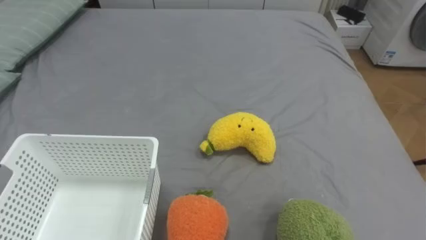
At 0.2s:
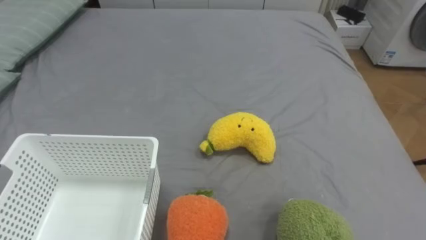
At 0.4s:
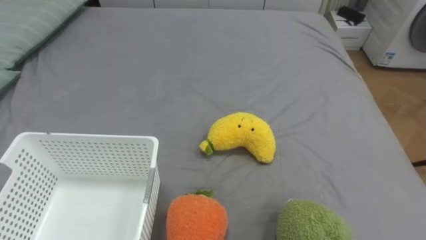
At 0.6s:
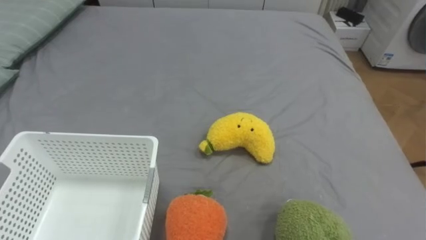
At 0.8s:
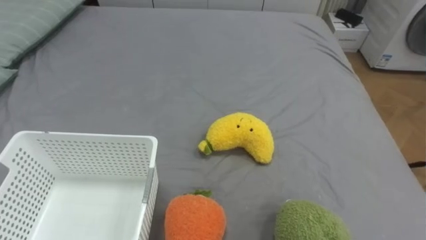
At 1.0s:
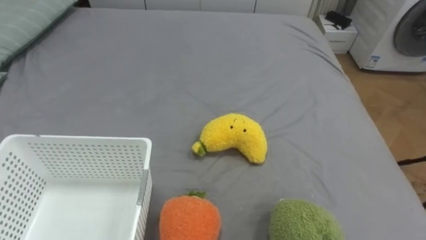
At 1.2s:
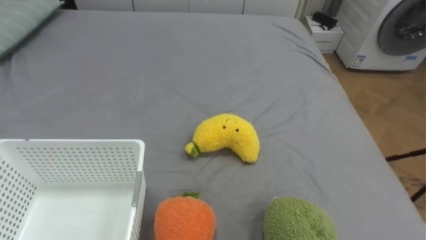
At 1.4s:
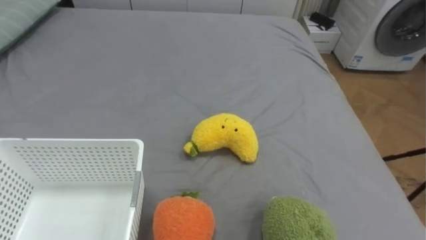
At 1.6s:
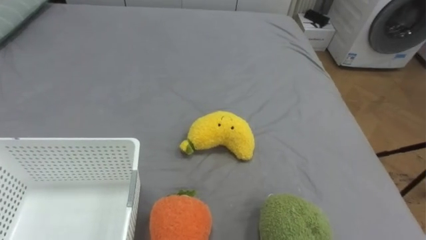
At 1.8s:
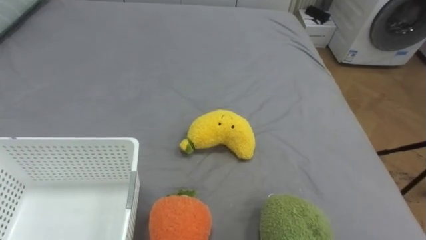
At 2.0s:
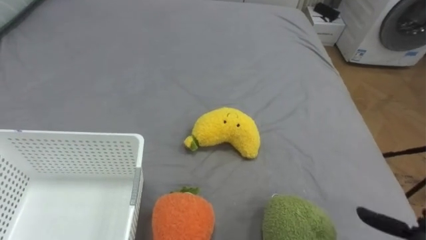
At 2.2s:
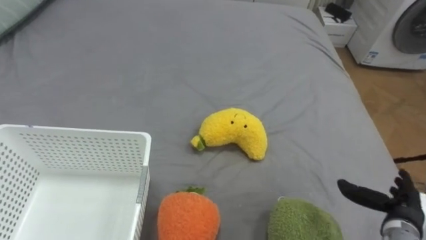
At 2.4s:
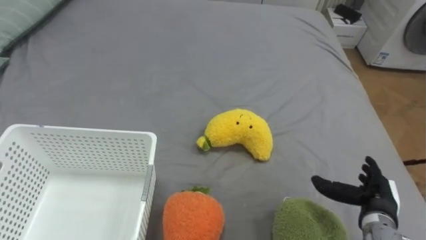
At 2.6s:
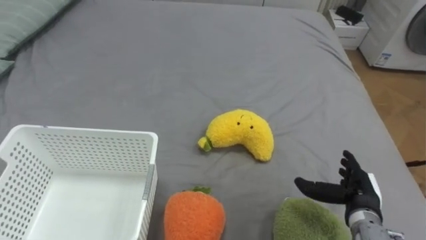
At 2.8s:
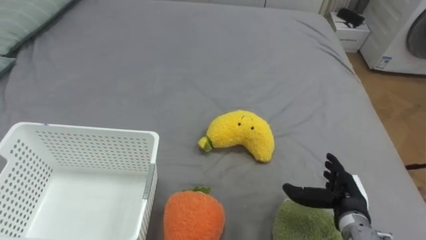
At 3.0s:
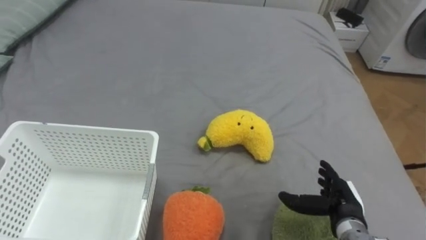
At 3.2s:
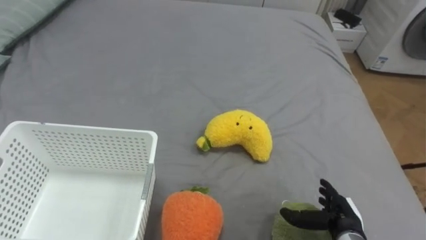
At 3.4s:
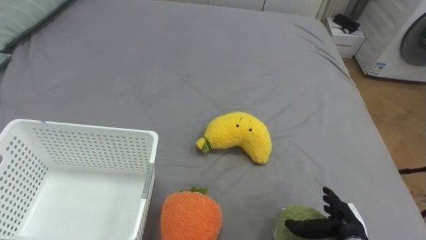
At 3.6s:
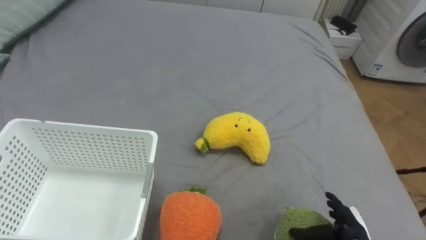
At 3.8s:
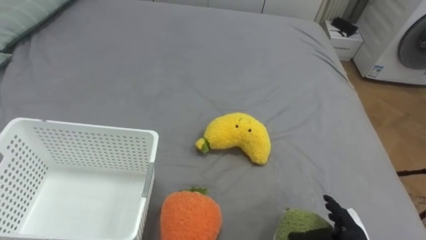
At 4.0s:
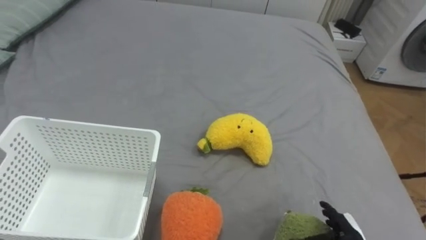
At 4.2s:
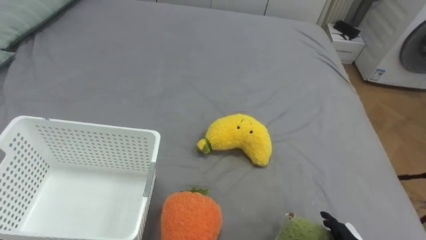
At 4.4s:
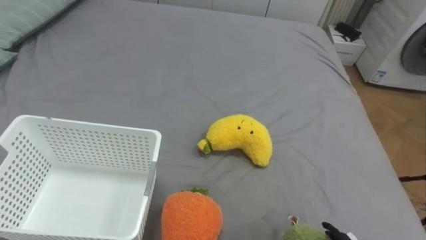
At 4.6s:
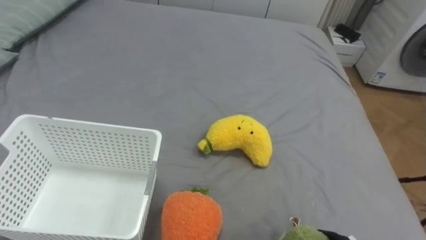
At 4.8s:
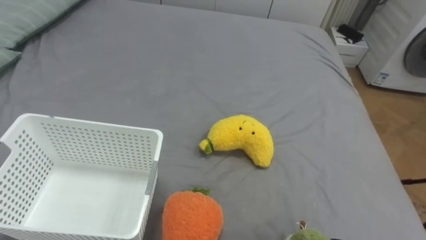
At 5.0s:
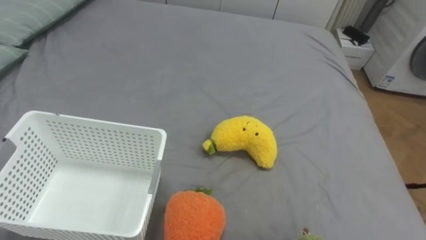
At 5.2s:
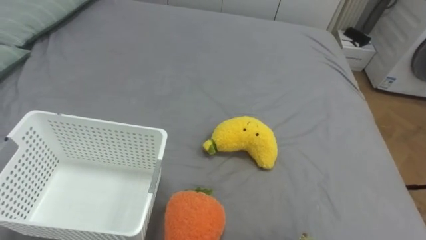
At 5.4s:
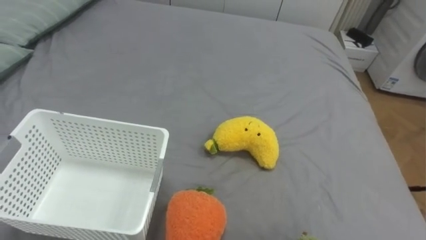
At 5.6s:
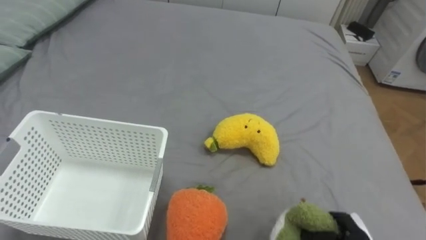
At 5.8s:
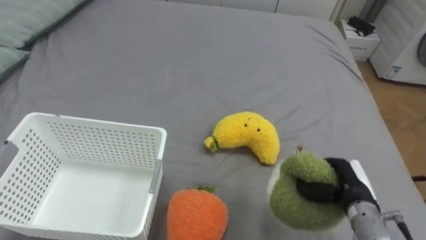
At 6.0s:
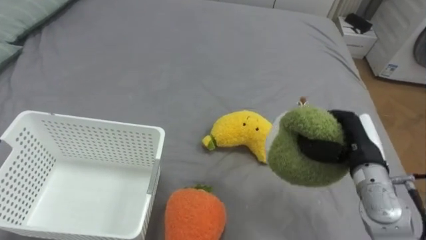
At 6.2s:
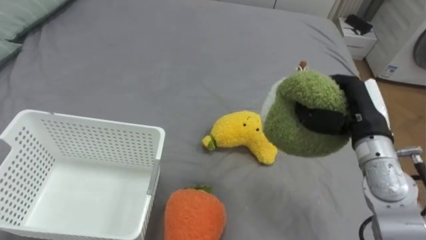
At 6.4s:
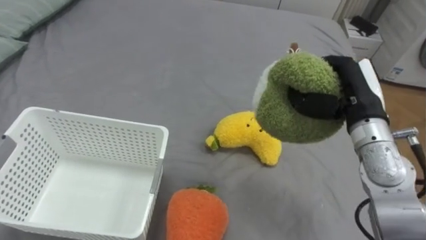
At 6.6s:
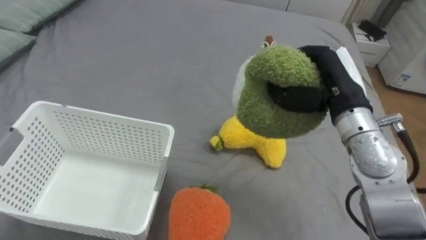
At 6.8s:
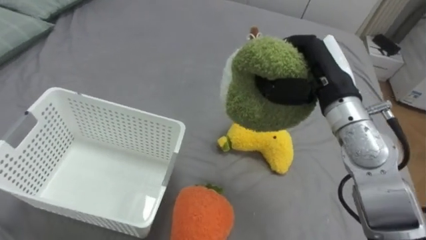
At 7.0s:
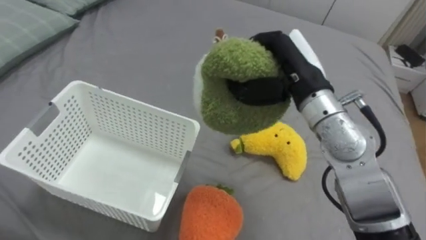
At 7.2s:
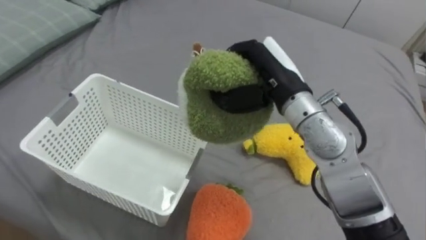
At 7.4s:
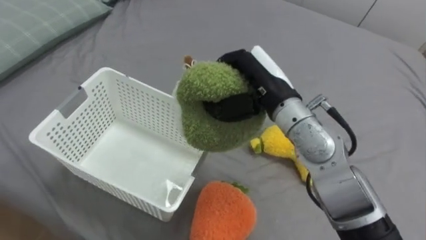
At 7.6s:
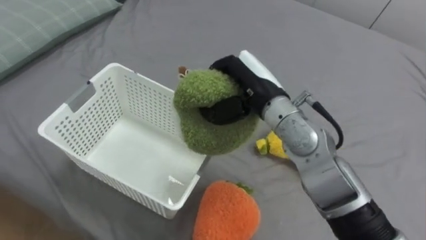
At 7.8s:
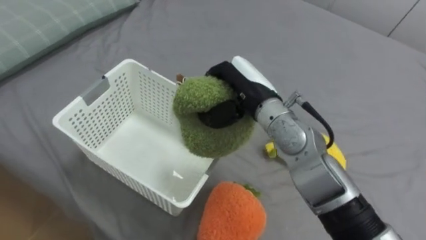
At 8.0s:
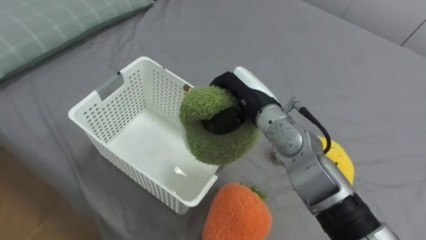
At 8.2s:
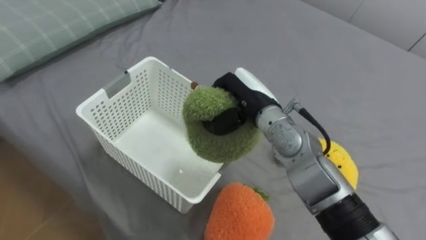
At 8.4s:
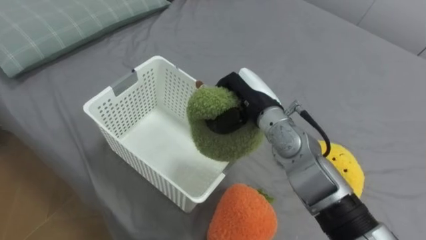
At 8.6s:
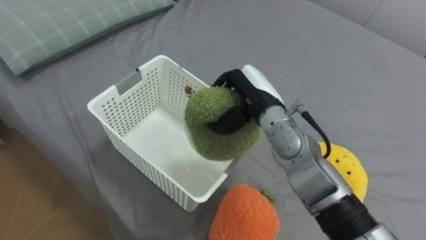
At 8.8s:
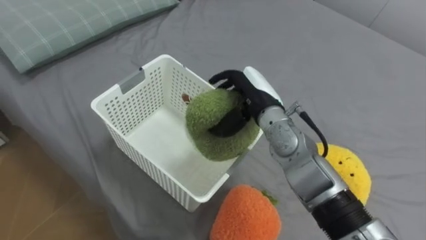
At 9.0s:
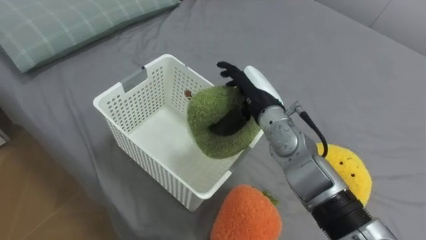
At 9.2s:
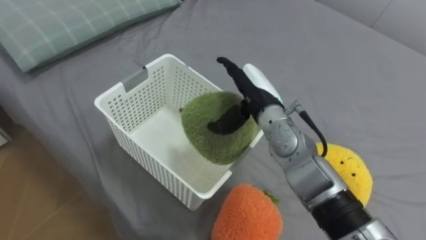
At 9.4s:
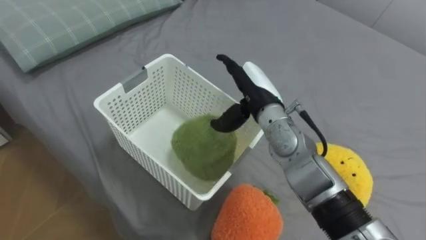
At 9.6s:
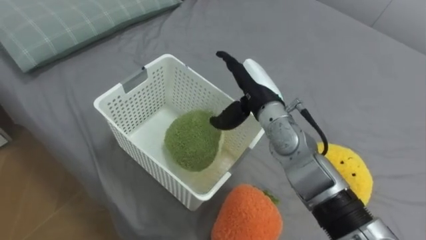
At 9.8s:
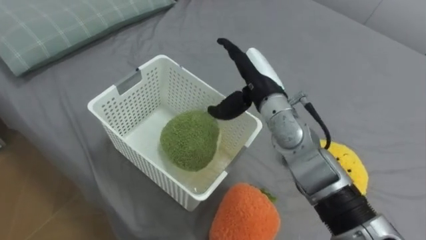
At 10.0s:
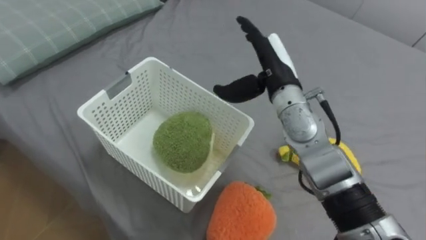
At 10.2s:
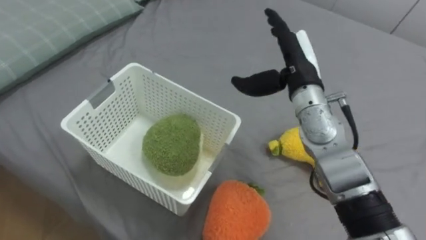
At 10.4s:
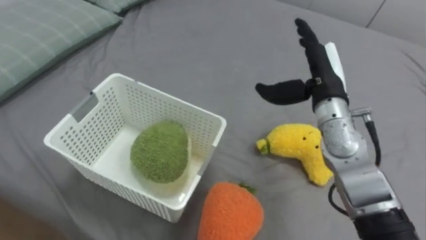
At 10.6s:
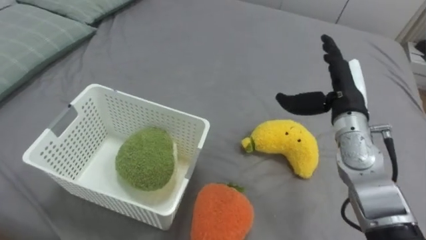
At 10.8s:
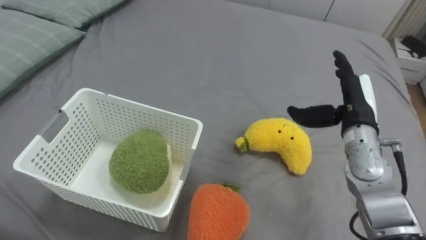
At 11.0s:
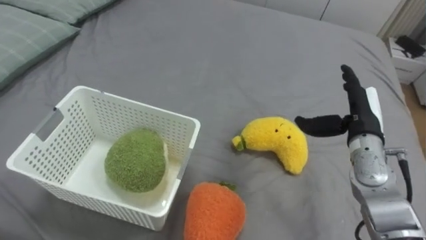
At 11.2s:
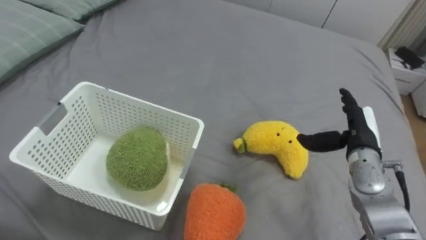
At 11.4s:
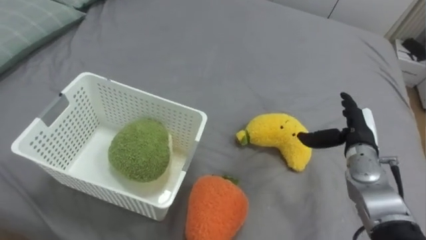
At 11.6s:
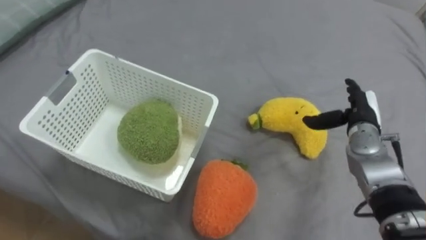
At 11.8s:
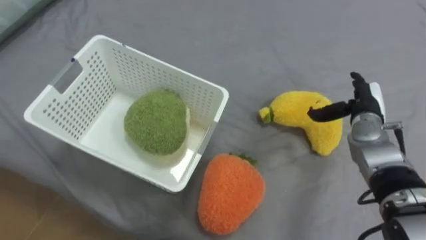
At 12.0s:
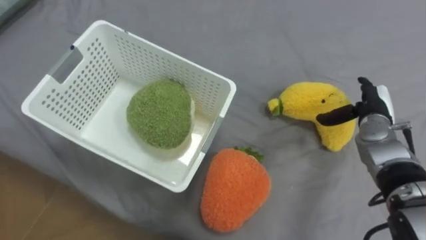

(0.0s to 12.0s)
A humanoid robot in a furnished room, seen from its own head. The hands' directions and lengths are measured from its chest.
Task of the whole recording: Put the toys on the bed into the basket on the left.
6.0s - 7.6s: The right hand moves to the left and upward, roughly 20 cm.
7.6s - 9.0s: The right hand heads downward, covering about 5 cm, and opens its fingers.
9.0s - 10.4s: The right hand shifts roughly 10 cm to the right.
10.4s - 12.0s: The right hand goes about 15 cm to the right and downward.

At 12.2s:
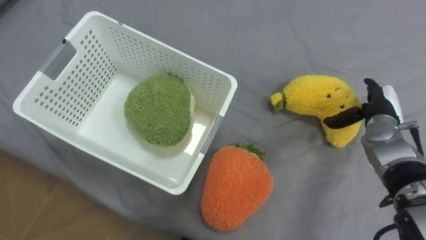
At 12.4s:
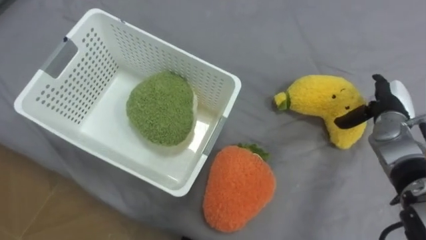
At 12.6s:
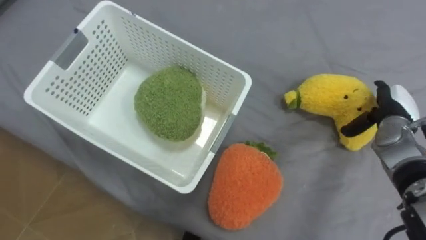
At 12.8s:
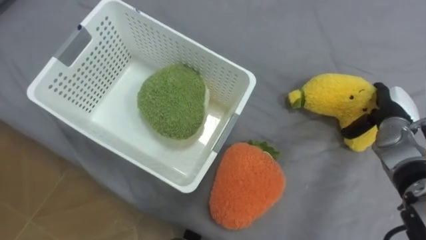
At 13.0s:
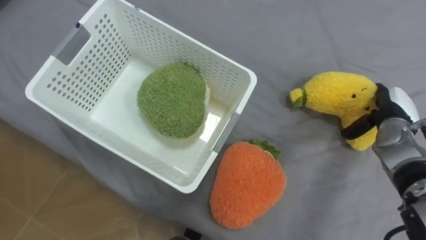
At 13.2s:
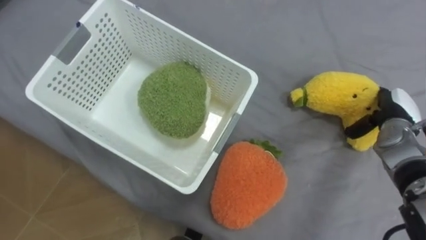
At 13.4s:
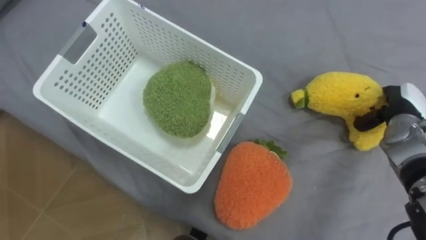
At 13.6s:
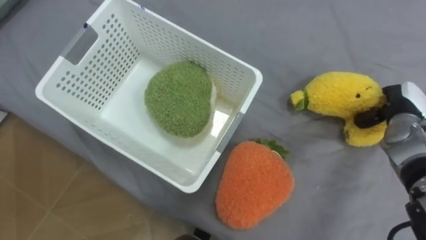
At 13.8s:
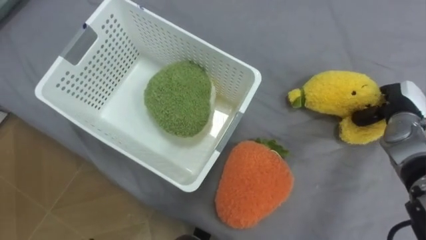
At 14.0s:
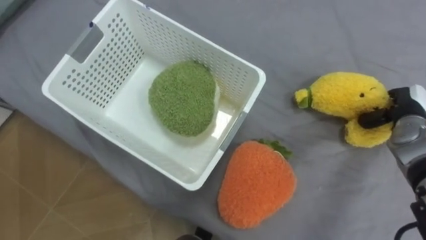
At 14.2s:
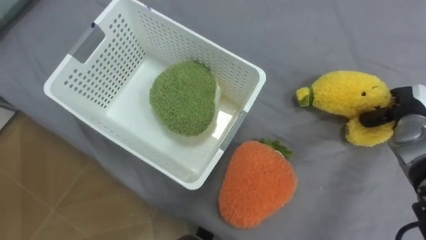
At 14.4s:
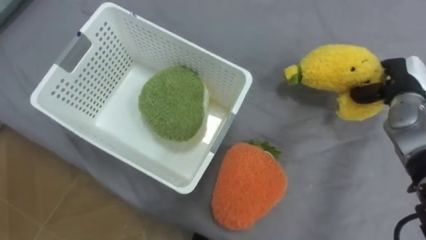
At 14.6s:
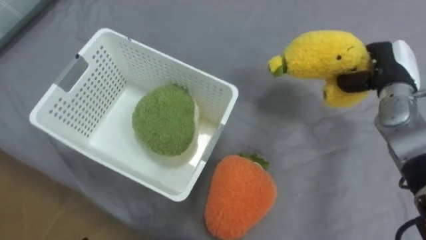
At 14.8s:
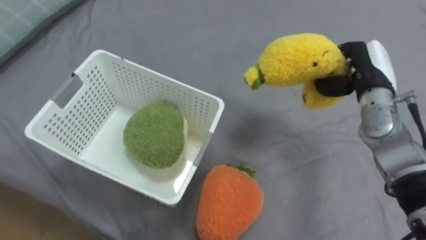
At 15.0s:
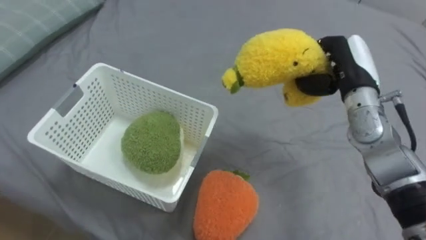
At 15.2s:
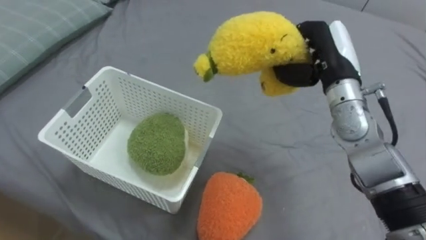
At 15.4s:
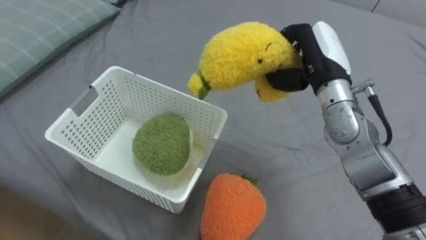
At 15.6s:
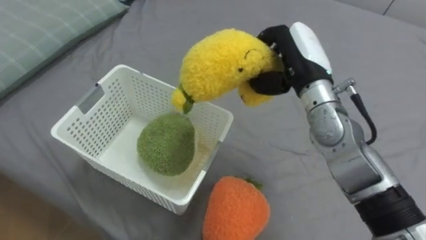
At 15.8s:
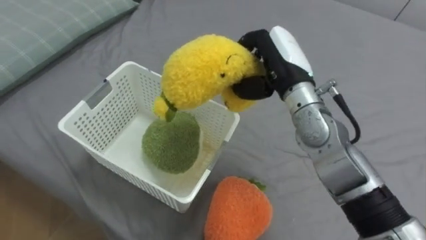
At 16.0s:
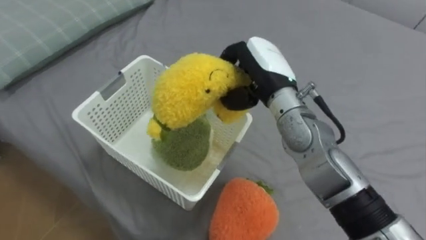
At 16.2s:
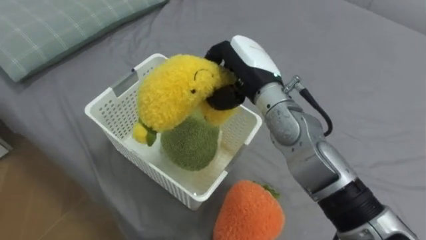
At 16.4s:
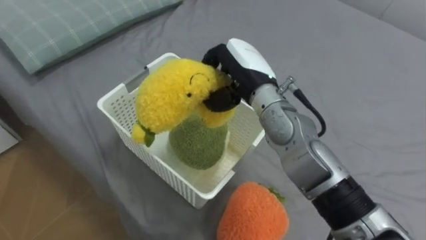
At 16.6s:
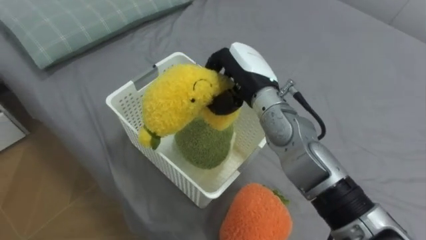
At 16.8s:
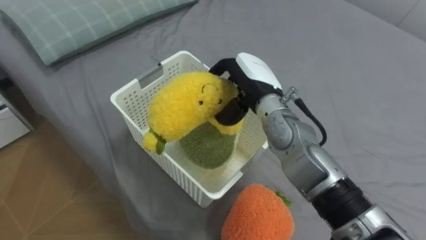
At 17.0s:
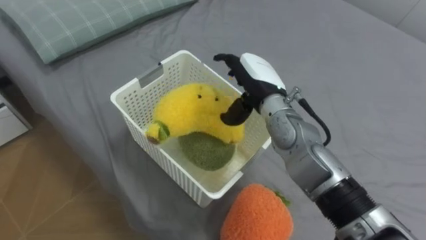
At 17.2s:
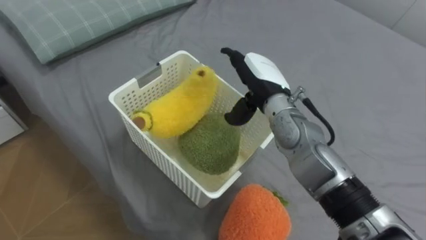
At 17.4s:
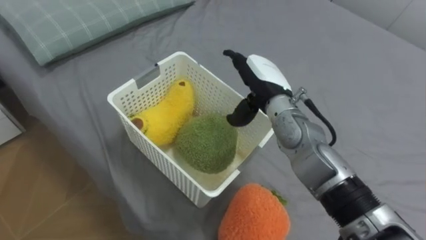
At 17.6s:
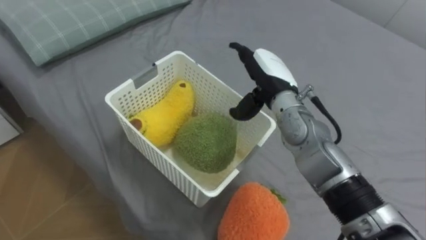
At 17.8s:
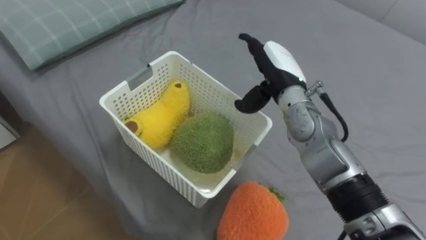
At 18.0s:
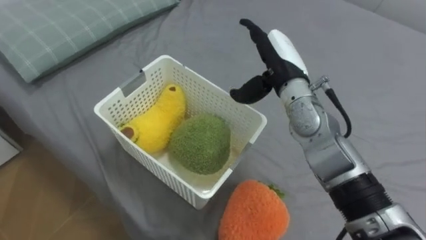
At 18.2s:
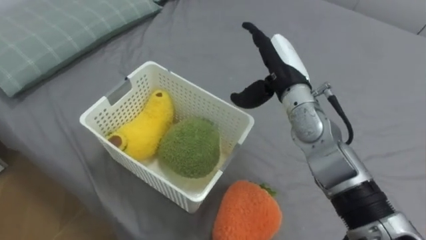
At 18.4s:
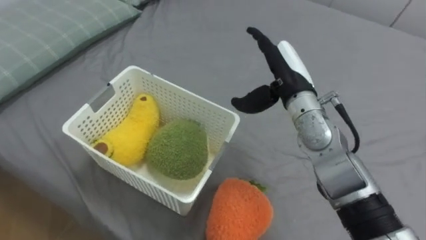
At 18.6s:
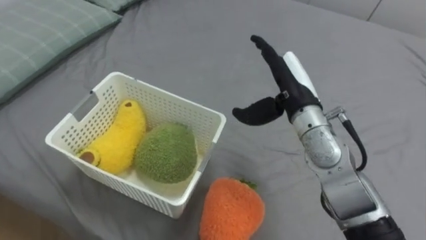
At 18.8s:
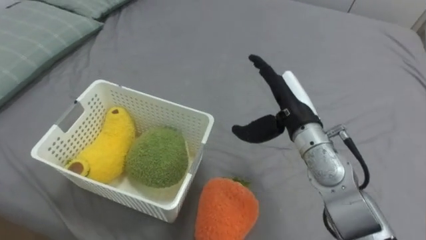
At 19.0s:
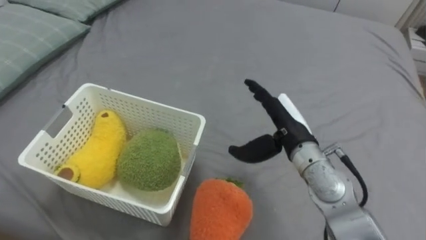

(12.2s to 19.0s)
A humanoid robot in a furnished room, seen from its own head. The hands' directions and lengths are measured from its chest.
Task of the whole recording: Put the toys on the bed into the basket on the left.
12.2s - 13.6s: The right hand closes.
13.6s - 15.0s: The right hand travels to the left and upward by roughly 15 cm.
15.0s - 16.2s: The right hand travels to the left by approximately 20 cm.
16.2s - 17.6s: The right hand moves approximately 5 cm, and opens its fingers.
17.6s - 19.0s: The right hand heads backward, covering about 5 cm.
